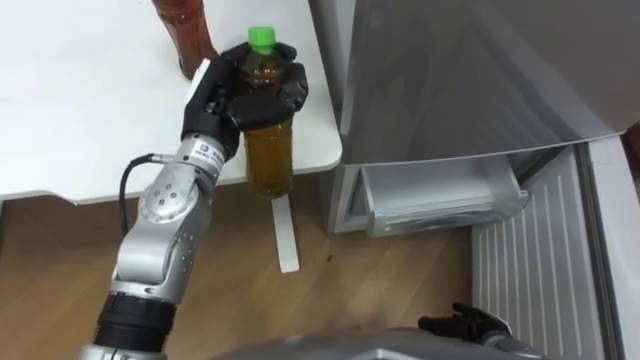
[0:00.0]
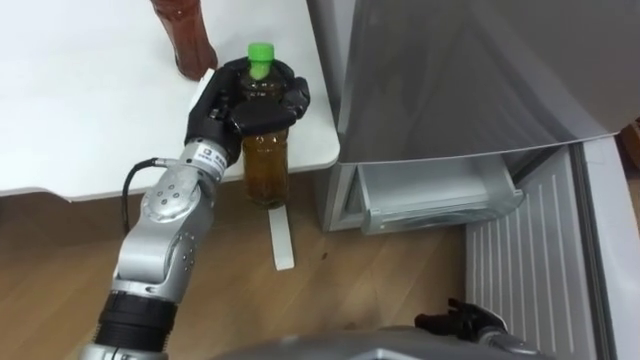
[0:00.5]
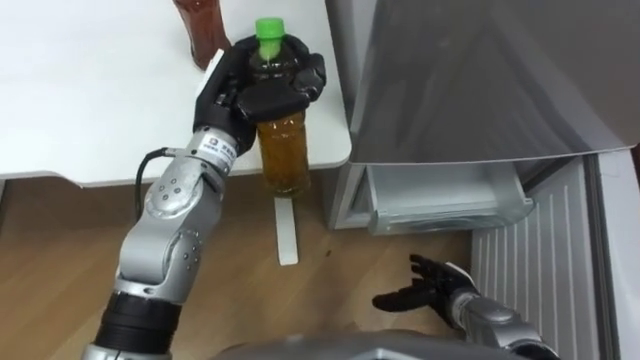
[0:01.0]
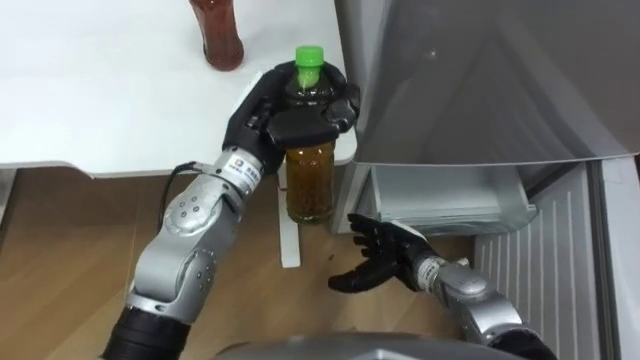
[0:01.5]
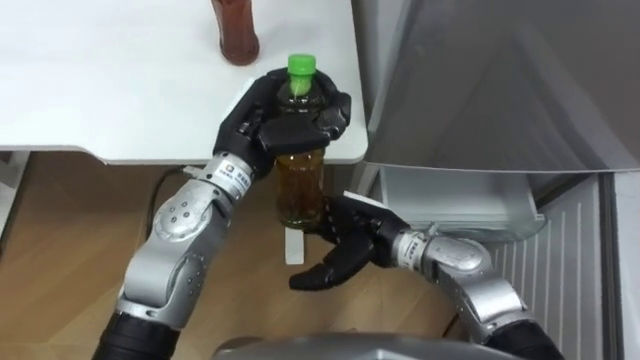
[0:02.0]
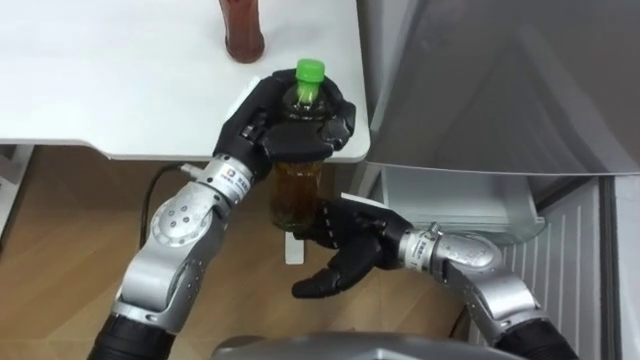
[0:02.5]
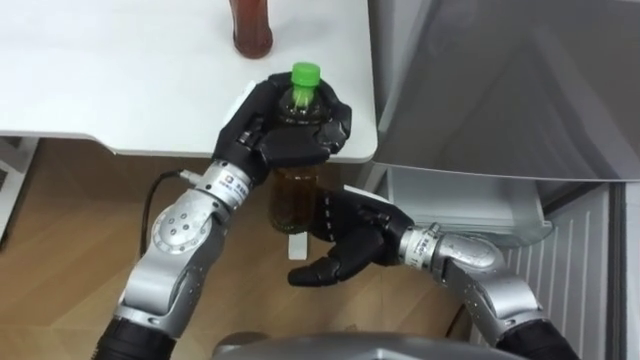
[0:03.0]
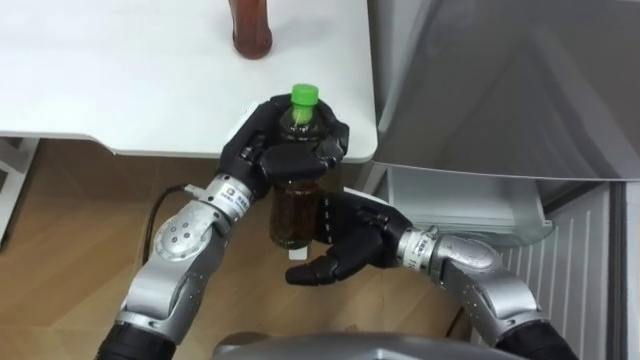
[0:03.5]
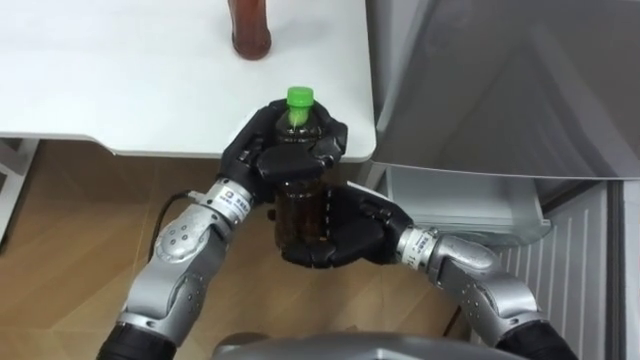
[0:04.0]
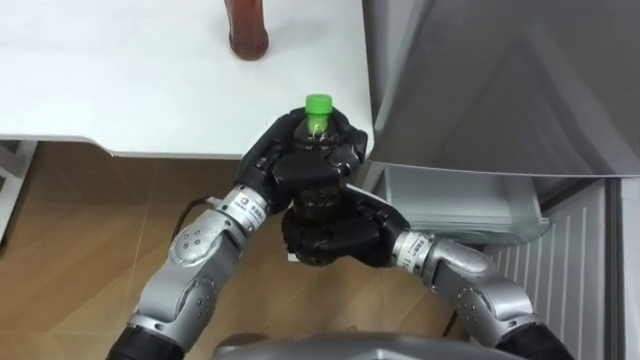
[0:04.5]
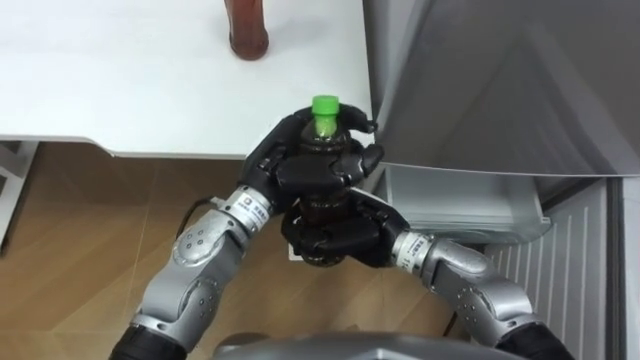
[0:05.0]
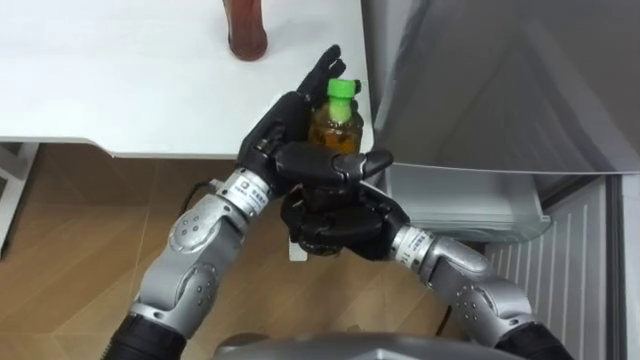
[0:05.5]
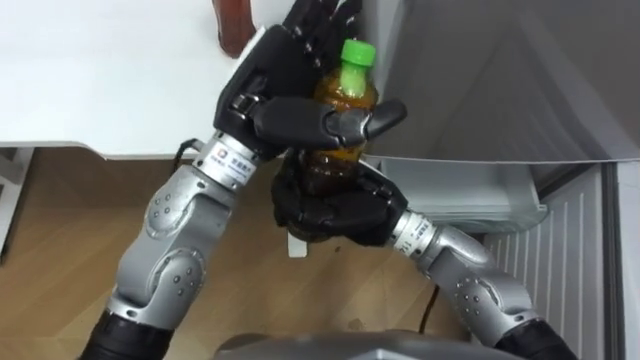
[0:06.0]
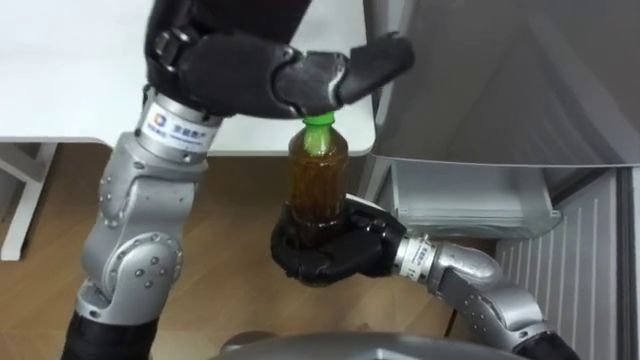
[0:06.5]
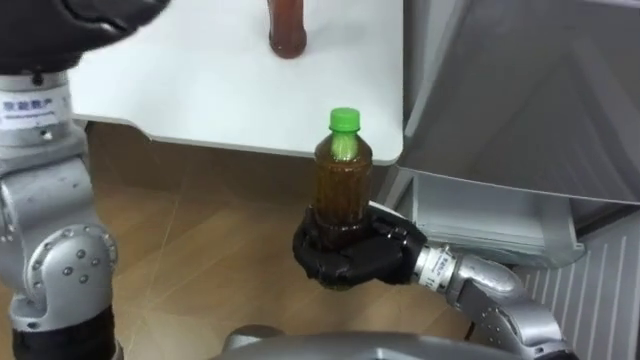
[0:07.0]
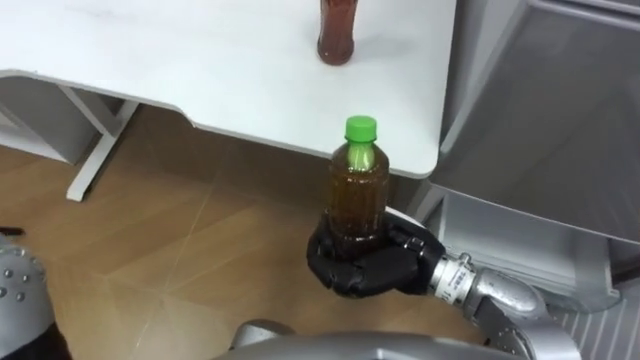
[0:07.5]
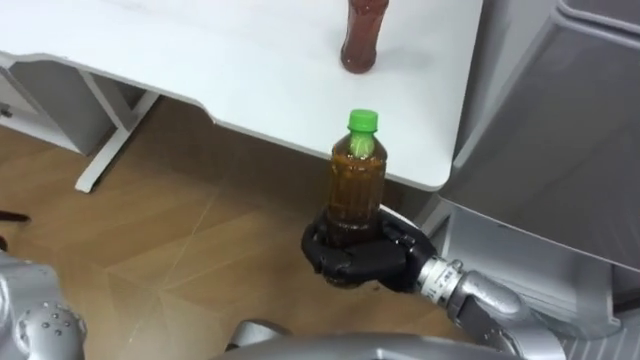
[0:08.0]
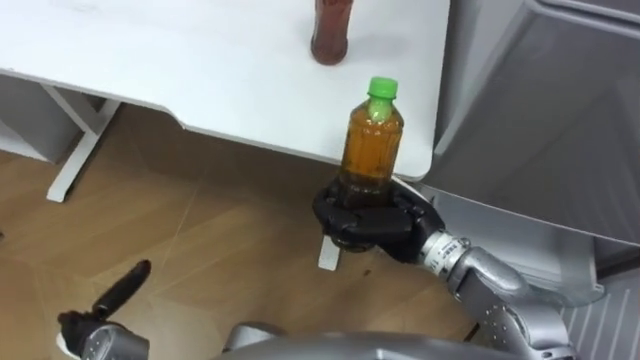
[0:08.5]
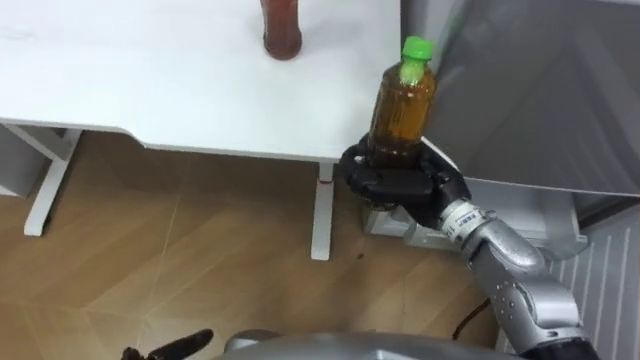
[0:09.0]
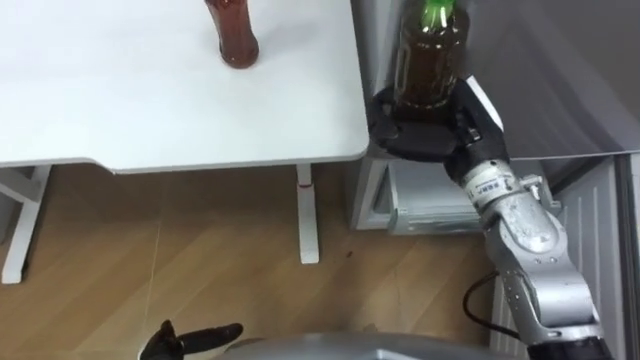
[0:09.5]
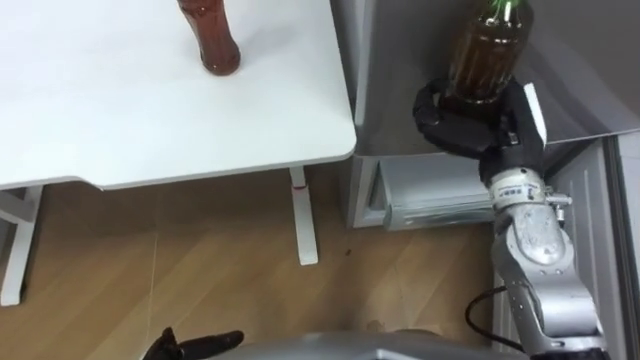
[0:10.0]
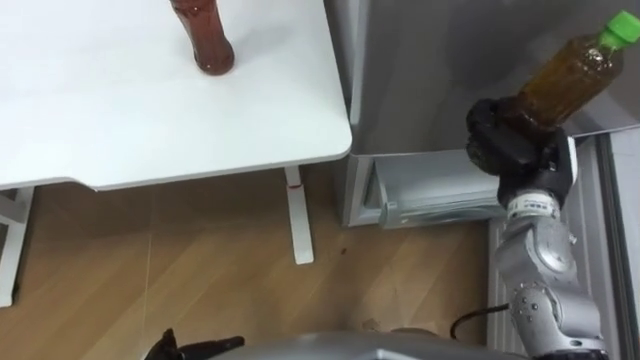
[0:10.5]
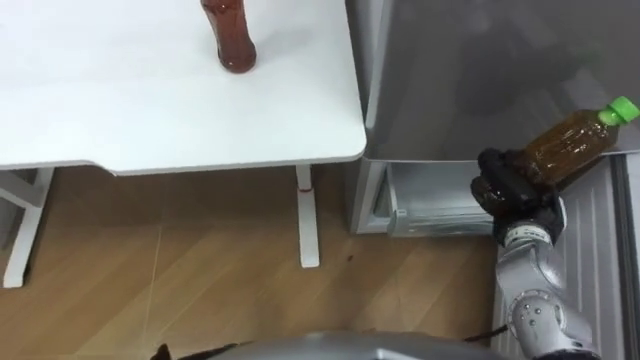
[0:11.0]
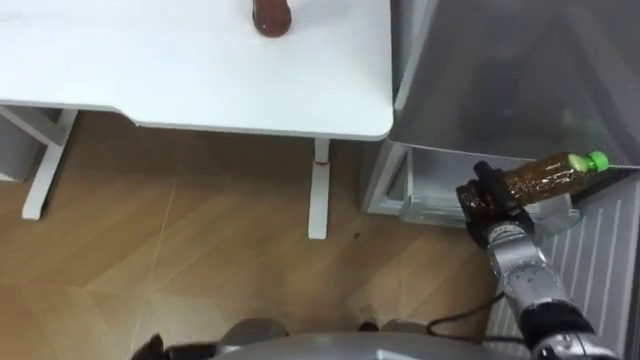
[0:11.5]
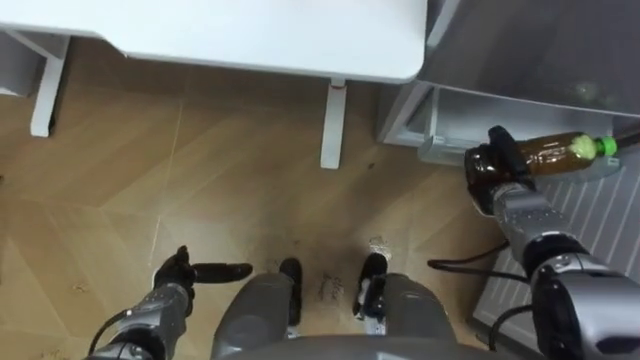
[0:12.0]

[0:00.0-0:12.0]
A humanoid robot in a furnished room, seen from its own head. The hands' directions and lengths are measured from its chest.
Task of the whole recording: Place the drink on the table on the bottom shelf of the refrigerator, then close the drawer and the refrigerator door.
0:00.0 to 0:02.0: The left hand moves about 5 cm, while the right hand is displaced to the left, upward and forward by about 25 cm.
0:04.0 to 0:06.0: The left hand shifts roughly 10 cm upward, and opens its fingers; the right hand heads upward, covering about 5 cm, and closes.
0:06.0 to 0:08.0: The right hand goes some 5 cm downward.
0:08.0 to 0:10.0: The right hand travels to the right, forward and upward by some 20 cm.
0:10.0 to 0:12.0: The right hand travels downward by roughly 20 cm.

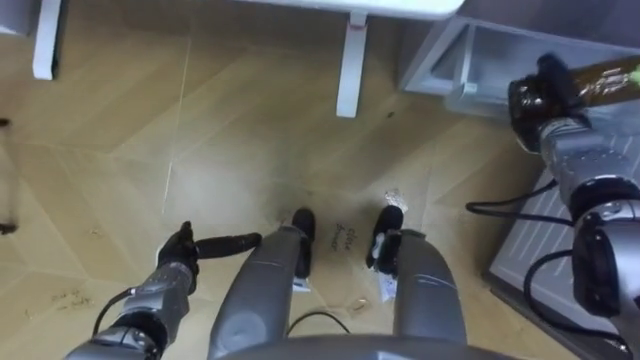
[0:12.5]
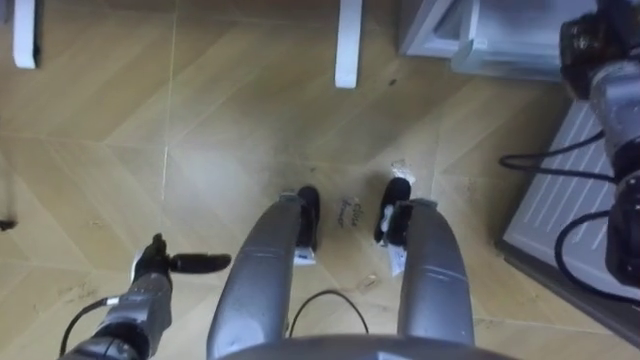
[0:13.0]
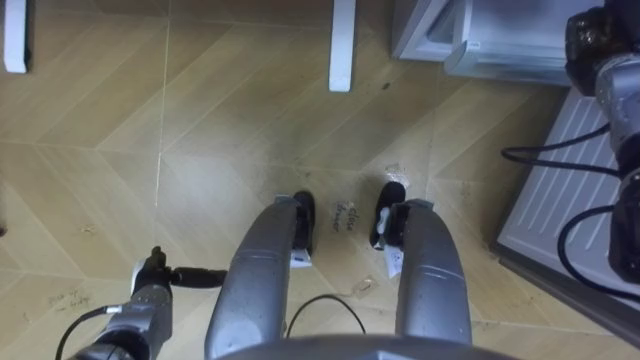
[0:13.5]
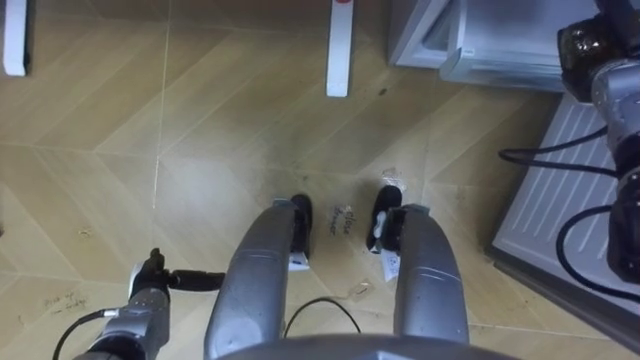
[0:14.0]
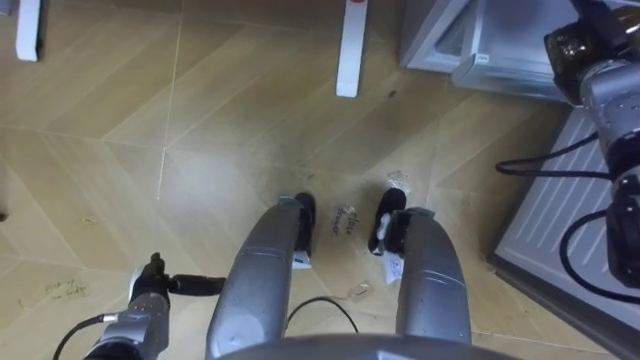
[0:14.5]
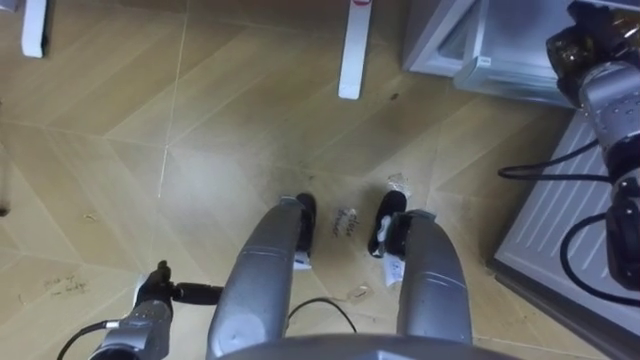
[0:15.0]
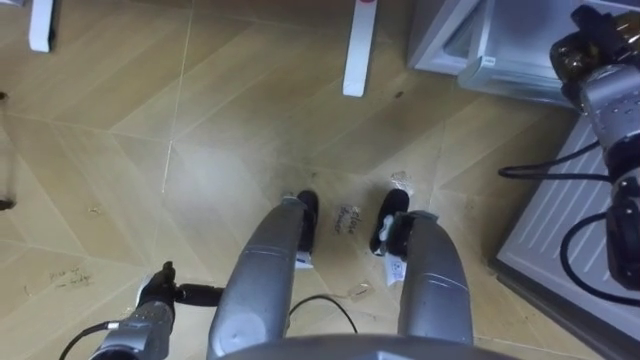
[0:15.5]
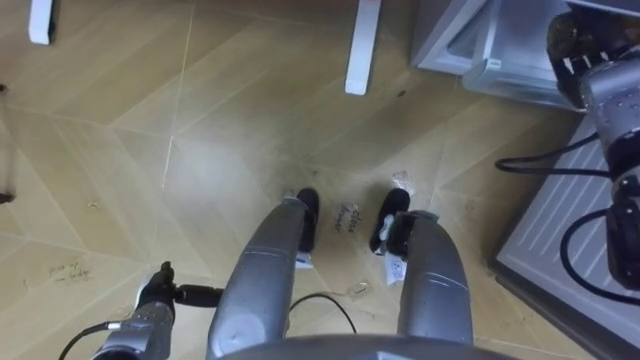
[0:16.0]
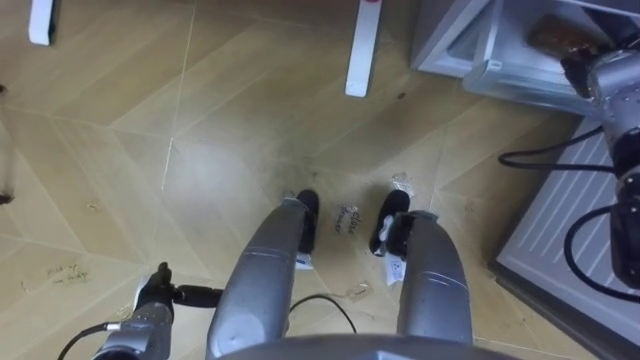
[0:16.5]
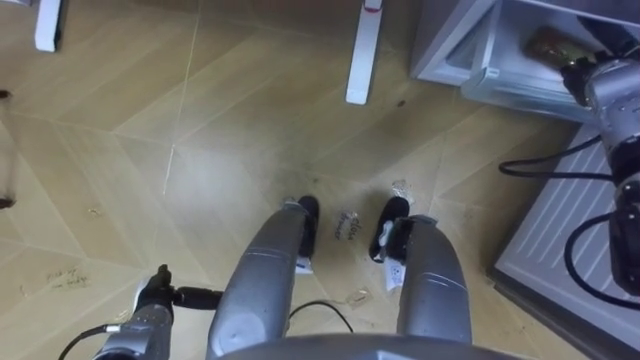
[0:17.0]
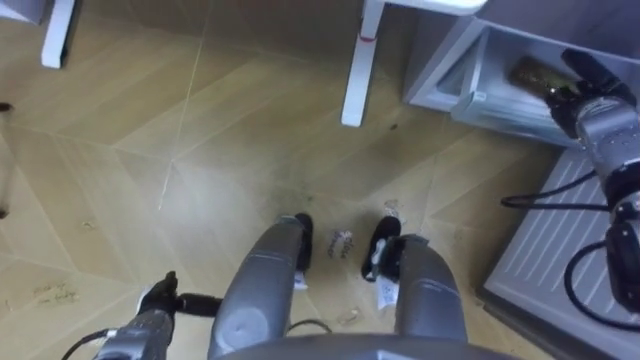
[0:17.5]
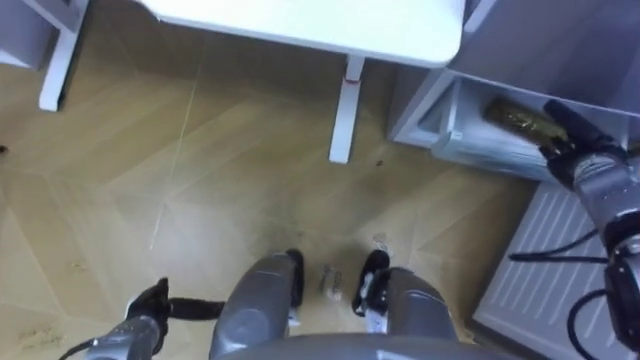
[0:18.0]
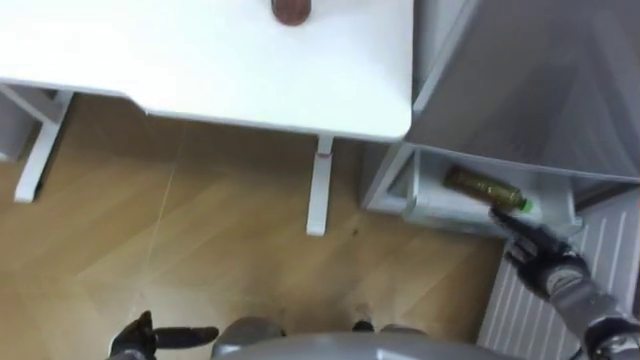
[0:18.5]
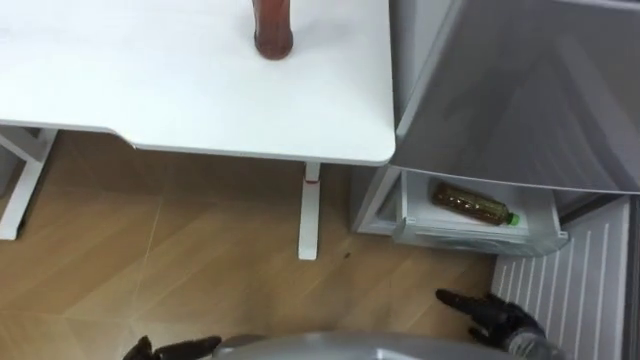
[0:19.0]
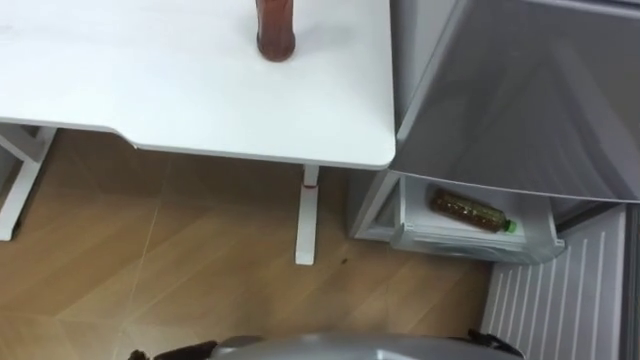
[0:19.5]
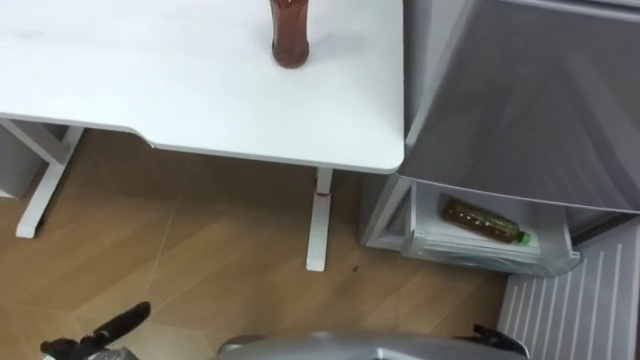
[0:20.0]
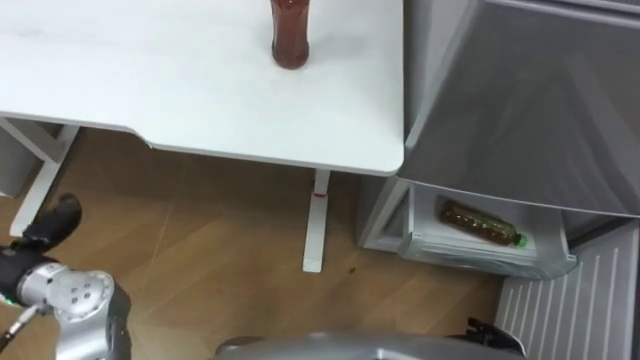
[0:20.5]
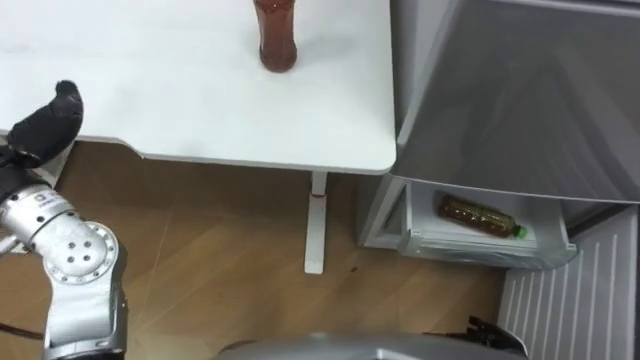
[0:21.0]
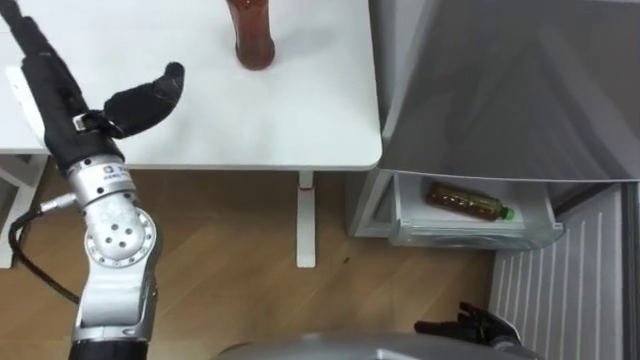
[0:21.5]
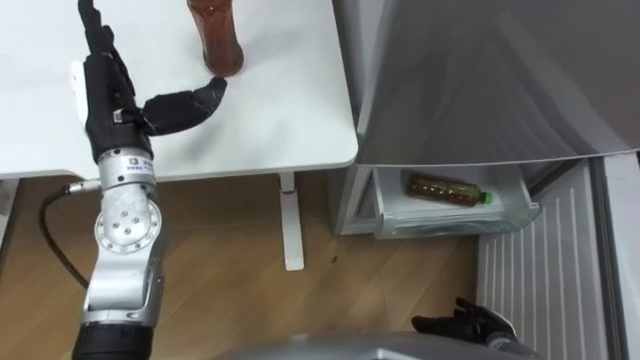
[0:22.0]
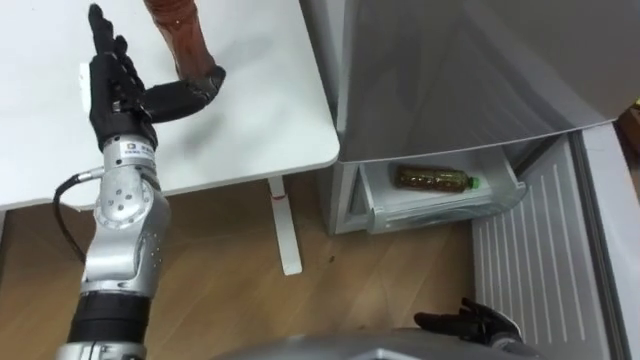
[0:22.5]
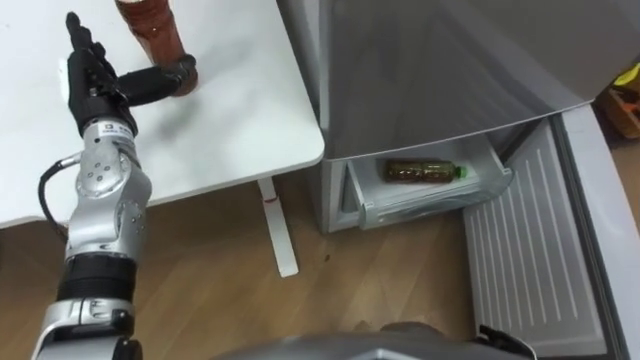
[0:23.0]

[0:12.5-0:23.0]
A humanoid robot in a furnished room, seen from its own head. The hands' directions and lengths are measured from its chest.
Task of the whole recording: Place the drink on the table on the bottom shelf of the refrigerator, then close the drawer and the refrigerator door.
0:12.5 to 0:14.5: The right hand shifts approximately 5 cm upward. Meanwhile the left hand moves some 5 cm.
0:14.5 to 0:16.5: The right hand opens its fingers.
0:16.5 to 0:19.0: The right hand goes approximately 40 cm backward and downward.
